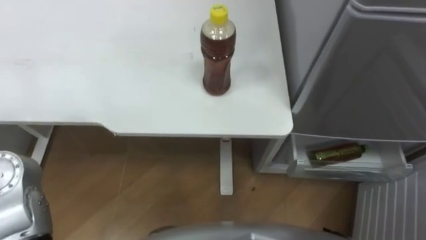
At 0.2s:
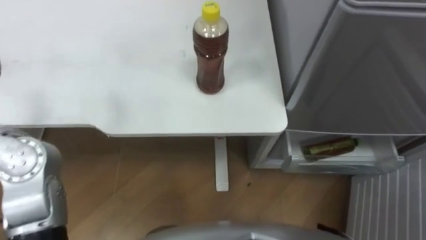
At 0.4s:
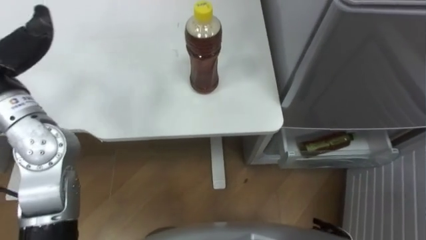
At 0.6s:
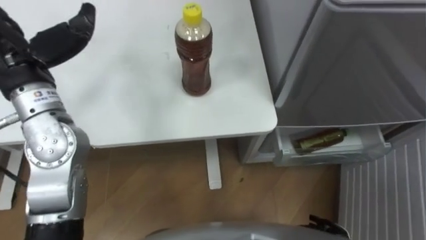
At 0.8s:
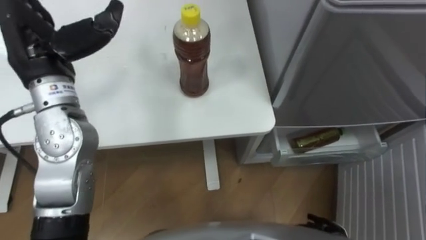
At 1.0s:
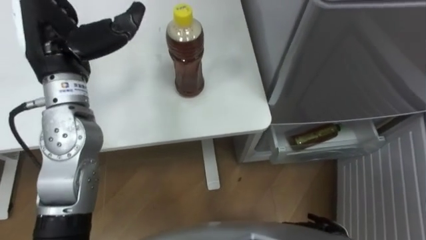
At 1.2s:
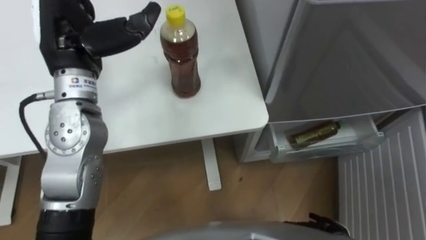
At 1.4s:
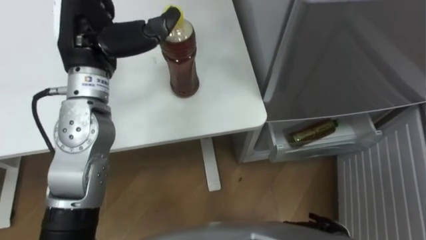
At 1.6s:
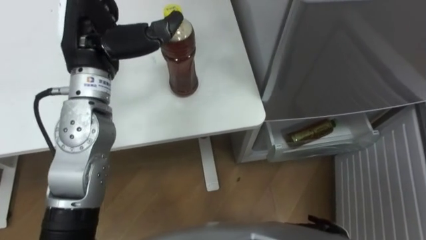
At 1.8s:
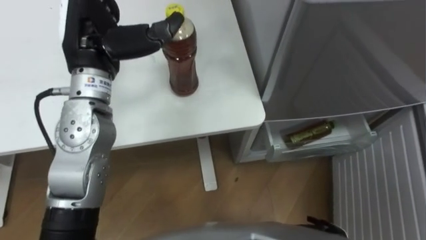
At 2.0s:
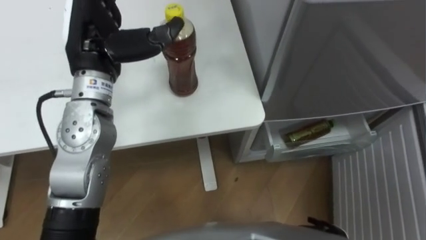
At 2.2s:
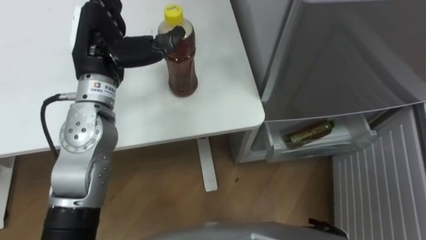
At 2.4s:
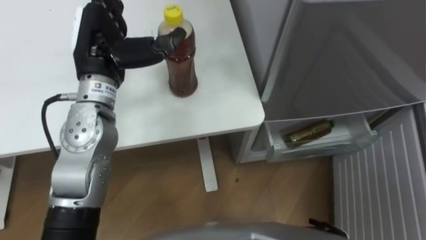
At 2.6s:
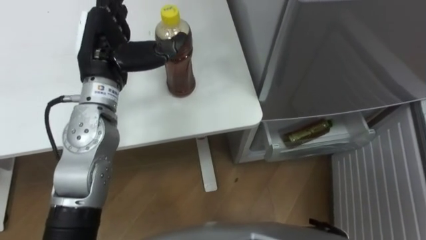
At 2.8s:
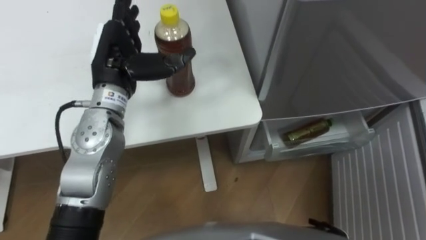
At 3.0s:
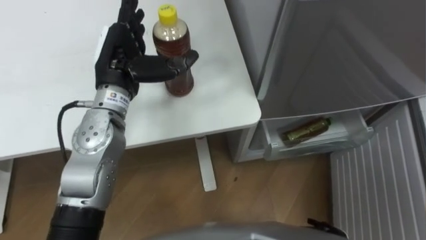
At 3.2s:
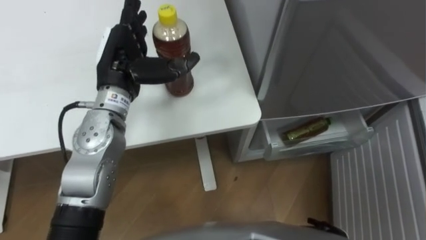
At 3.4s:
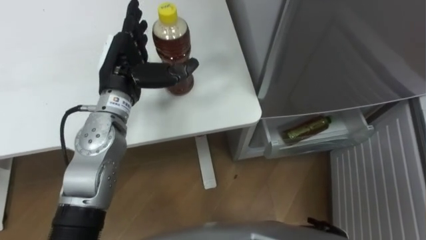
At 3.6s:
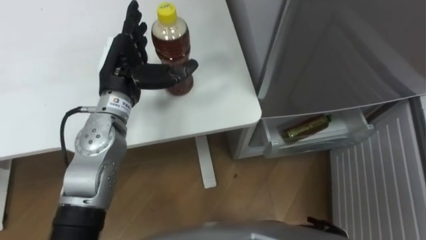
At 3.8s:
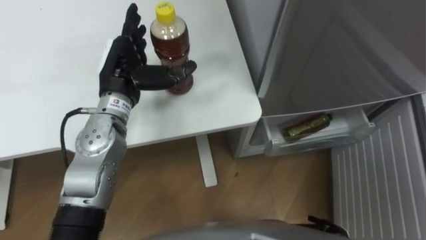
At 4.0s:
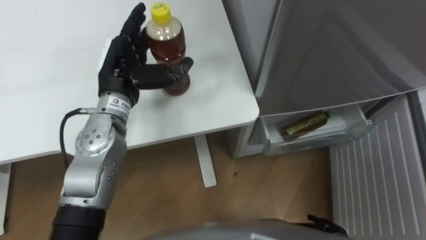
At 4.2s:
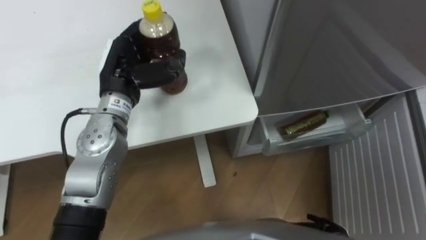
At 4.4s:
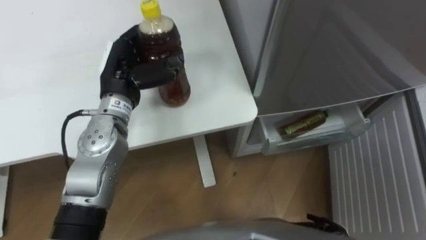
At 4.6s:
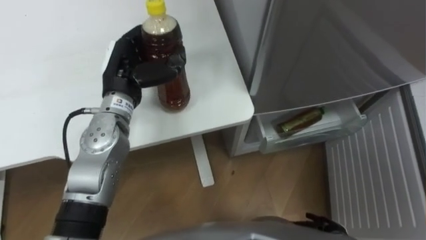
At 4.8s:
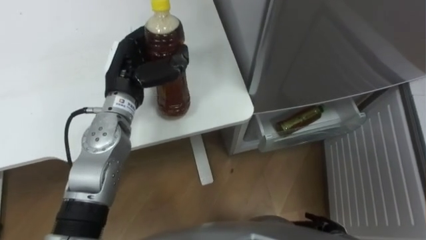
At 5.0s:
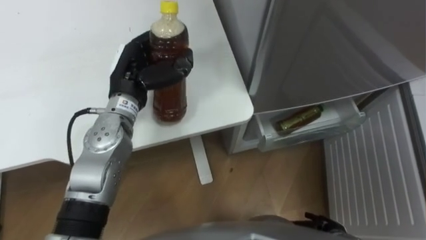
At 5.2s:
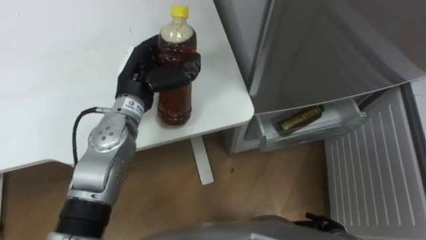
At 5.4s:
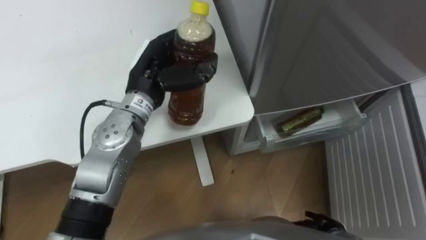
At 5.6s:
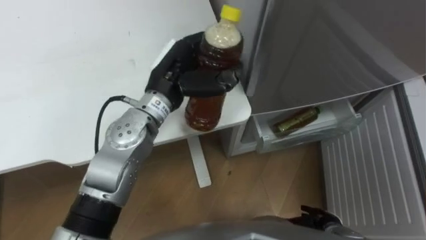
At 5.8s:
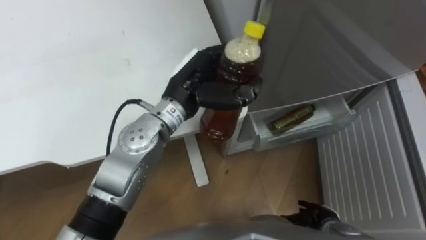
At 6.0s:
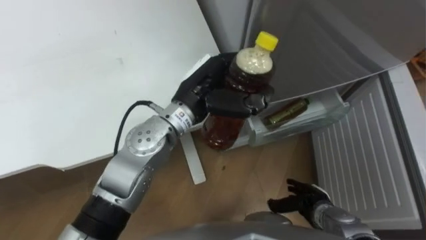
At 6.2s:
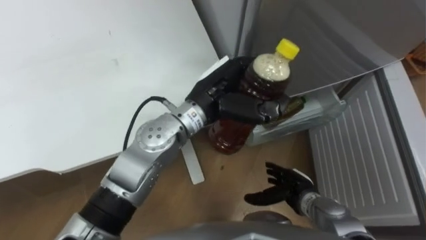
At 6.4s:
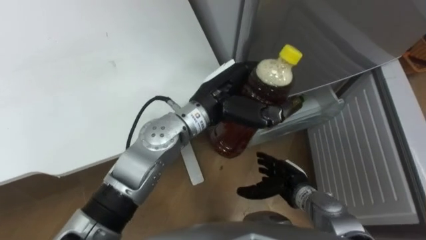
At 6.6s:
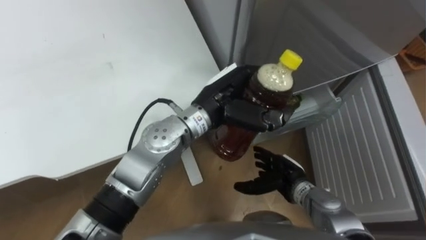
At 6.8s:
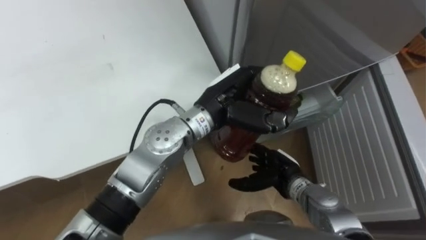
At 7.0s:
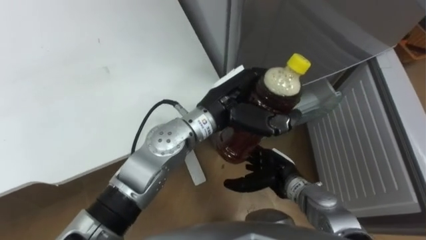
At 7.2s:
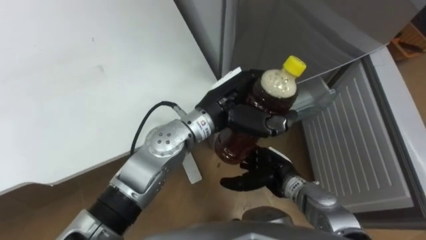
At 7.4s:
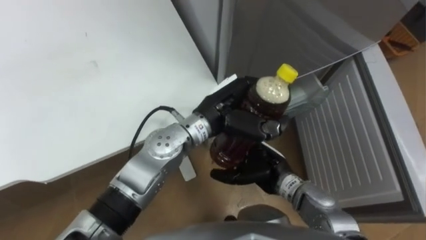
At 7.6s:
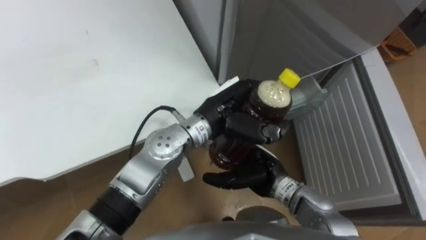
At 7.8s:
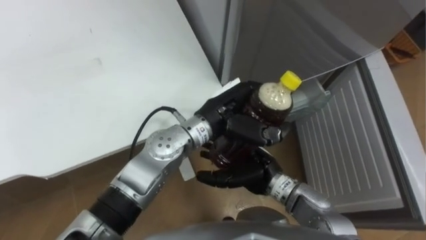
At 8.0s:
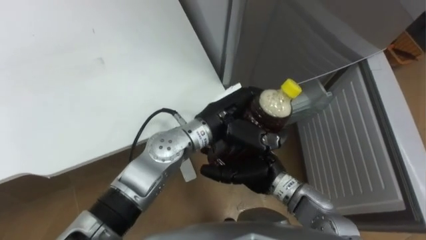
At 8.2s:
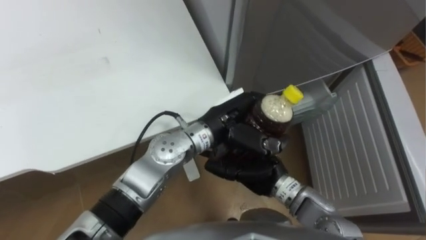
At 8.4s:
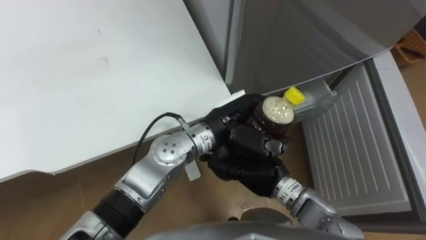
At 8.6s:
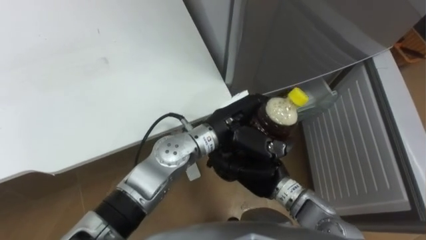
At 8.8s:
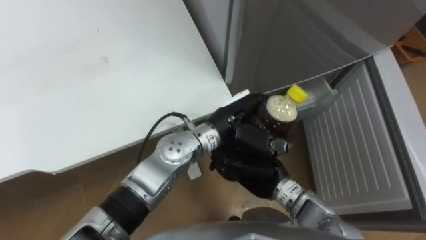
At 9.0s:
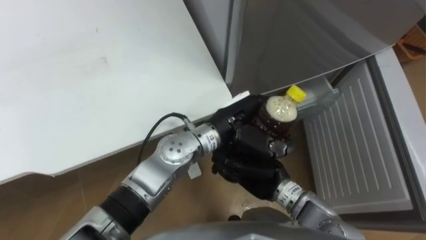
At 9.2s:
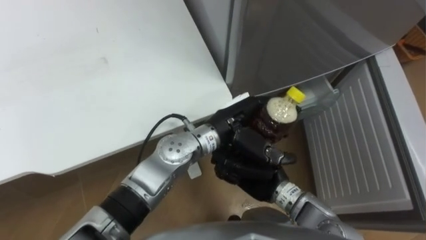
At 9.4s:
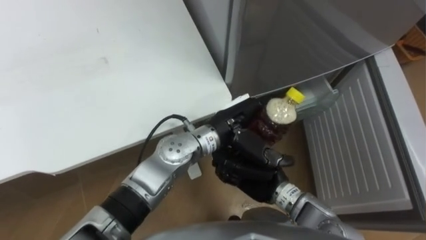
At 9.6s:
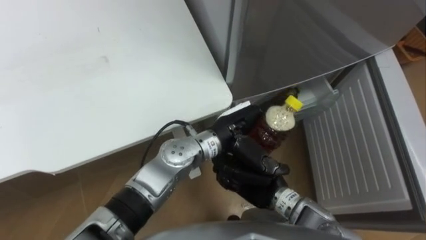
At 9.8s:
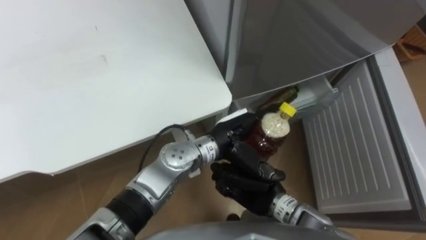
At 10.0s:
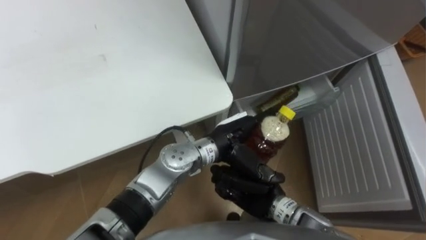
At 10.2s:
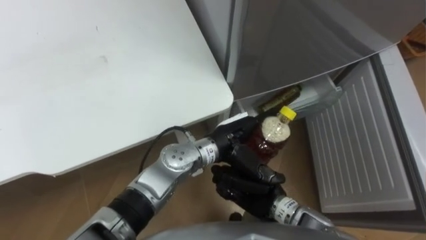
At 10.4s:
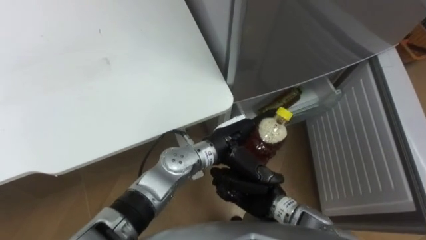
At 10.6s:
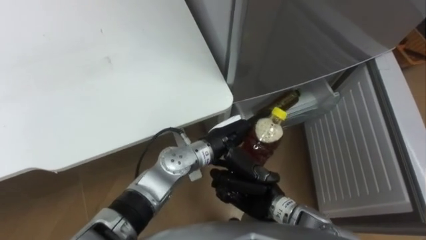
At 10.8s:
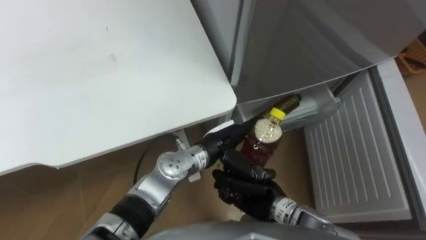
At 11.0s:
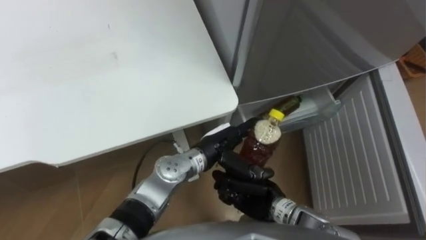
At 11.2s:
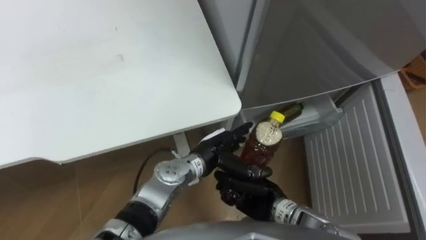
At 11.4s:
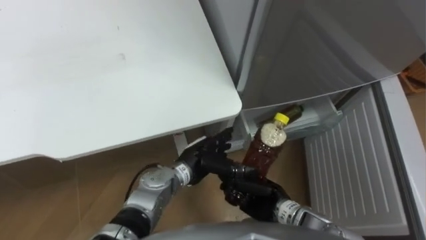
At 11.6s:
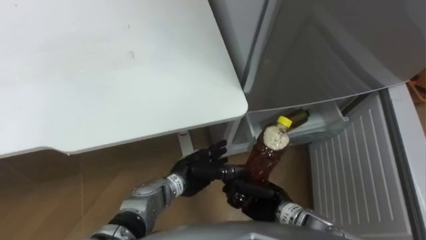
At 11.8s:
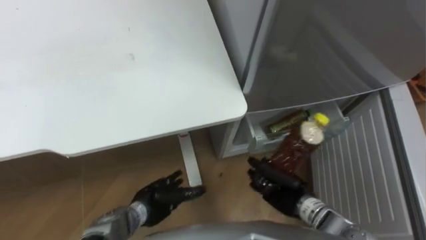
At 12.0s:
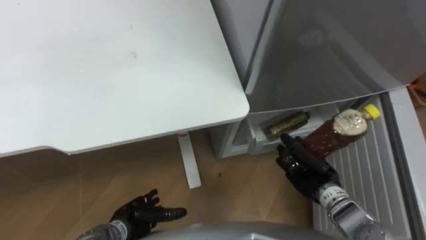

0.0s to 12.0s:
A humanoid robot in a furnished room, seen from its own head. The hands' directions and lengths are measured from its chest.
Task of the whole recording: Place the drink on the table on the bottom shelf of the refrigerator, then close the drawer and the refrigerator door.
1.6s to 3.0s: The left hand shifts some 5 cm downward.
3.0s to 4.4s: The left hand closes its fingers.
4.4s to 6.0s: The right hand is displaced forward by about 5 cm; the left hand is displaced to the right by about 15 cm.
6.0s to 7.6s: The right hand moves to the left, upward and forward, approximately 20 cm, while the left hand shifts by roughly 5 cm.
7.6s to 9.0s: The right hand closes.
9.0s to 10.4s: The right hand shifts by some 5 cm, while the left hand goes approximately 5 cm downward, and opens up.
10.4s to 12.0s: The left hand moves to the left, downward and backward, some 30 cm; the right hand goes roughly 10 cm to the right.

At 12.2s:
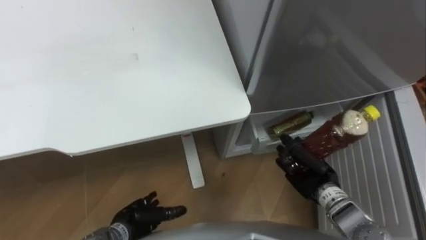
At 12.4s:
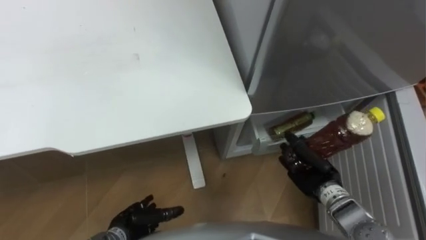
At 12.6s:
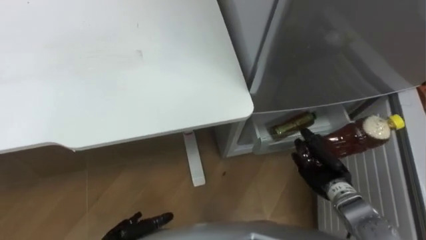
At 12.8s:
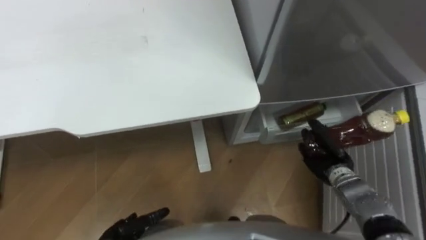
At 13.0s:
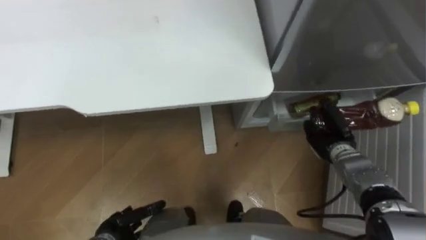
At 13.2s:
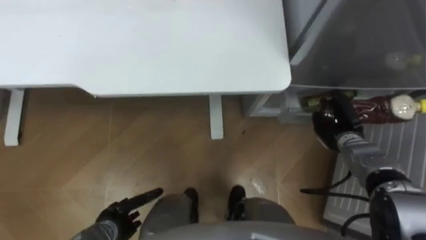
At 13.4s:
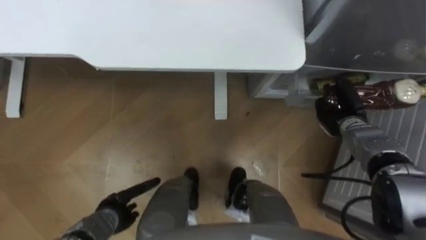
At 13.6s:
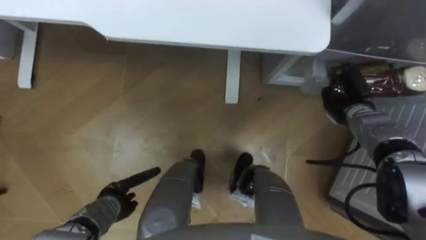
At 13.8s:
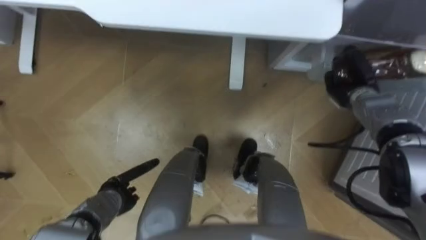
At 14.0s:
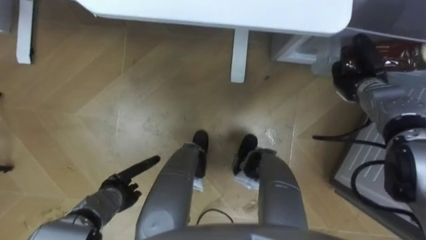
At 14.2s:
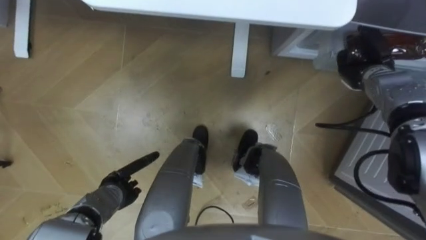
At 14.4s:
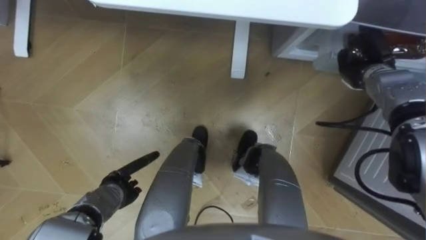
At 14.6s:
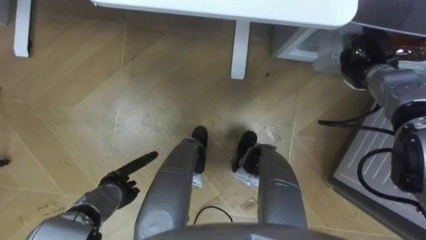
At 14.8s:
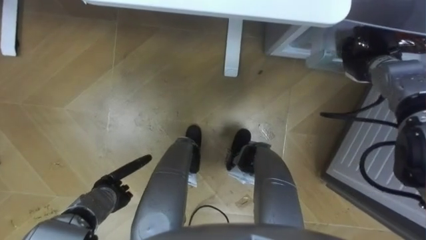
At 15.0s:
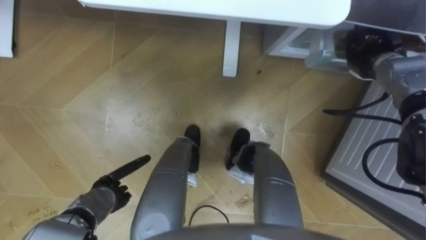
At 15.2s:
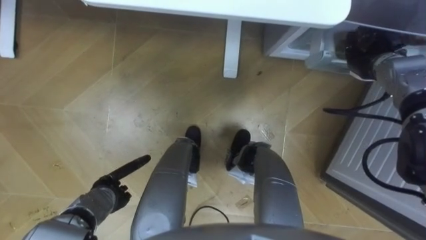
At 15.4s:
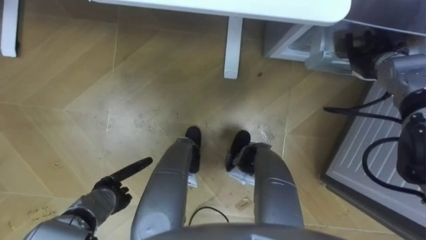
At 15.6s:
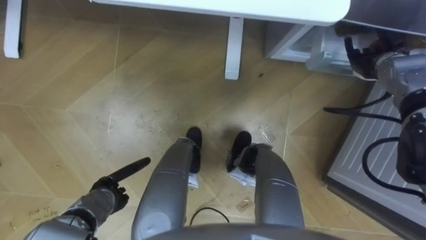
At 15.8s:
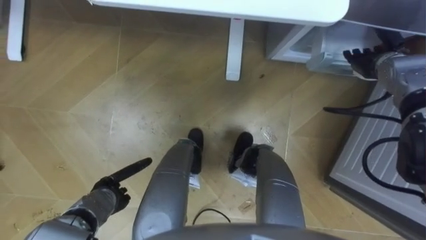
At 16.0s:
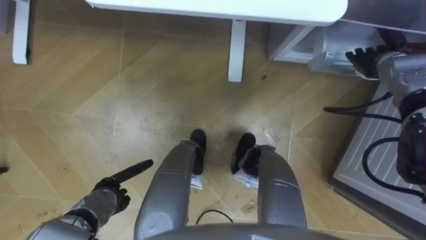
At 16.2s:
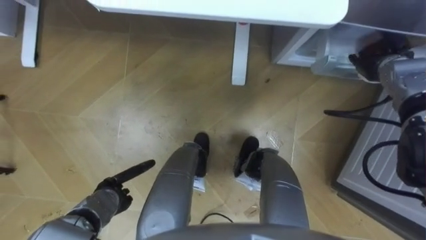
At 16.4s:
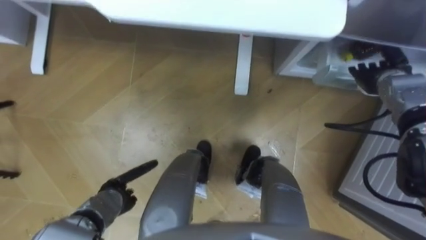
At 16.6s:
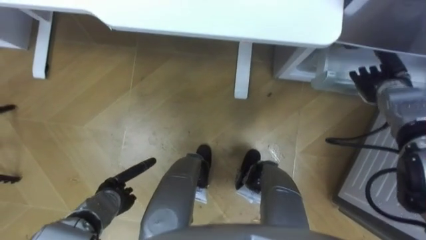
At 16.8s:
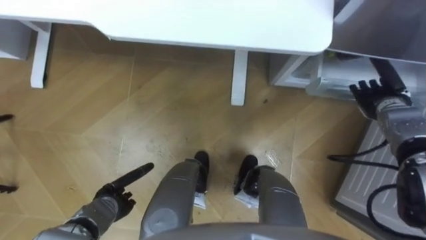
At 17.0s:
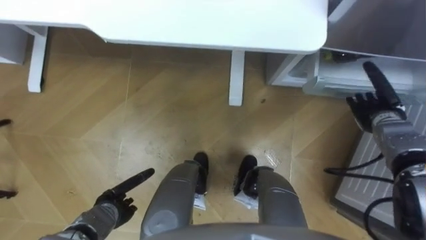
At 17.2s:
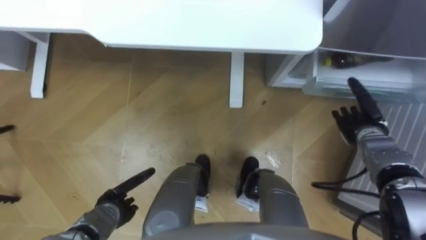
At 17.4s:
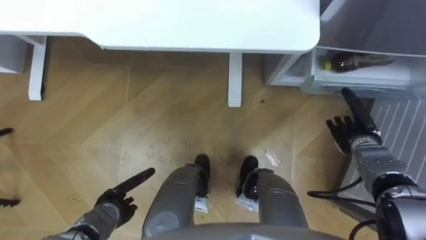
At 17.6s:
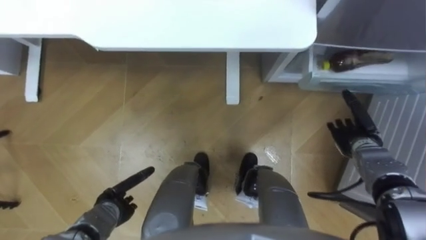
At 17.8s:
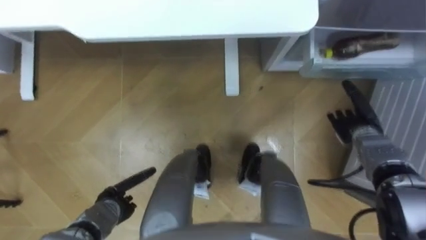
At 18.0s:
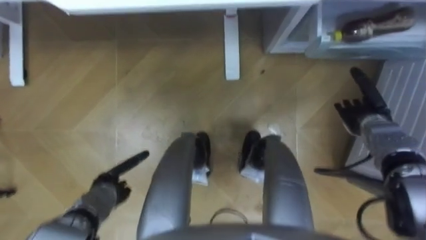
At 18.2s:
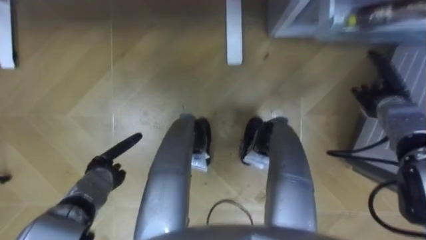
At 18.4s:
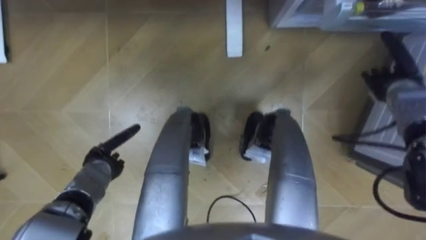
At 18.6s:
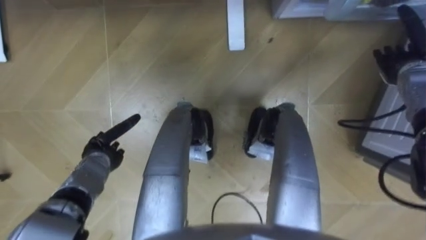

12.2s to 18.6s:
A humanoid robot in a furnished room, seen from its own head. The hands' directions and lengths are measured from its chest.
Task of the whole recording: Place the drink on the table on the bottom shelf of the refrigerator, then close the drawer and the refrigerator door.
12.2s to 13.8s: The right hand heads forward and to the right, covering some 20 cm.
13.8s to 15.4s: The right hand shifts roughly 5 cm upward, and opens its fingers.
15.4s to 17.0s: The right hand moves backward and downward, some 10 cm.
17.0s to 18.6s: The left hand goes some 10 cm forward and upward; the right hand goes about 10 cm upward and forward.
